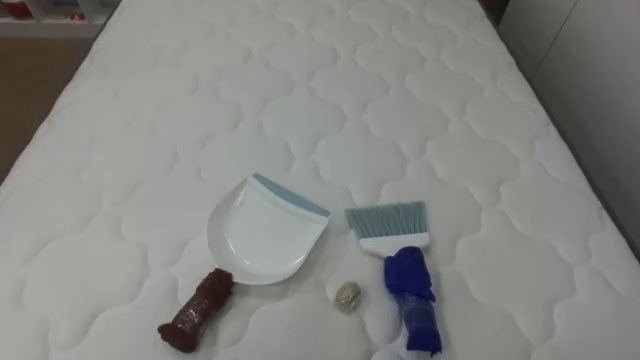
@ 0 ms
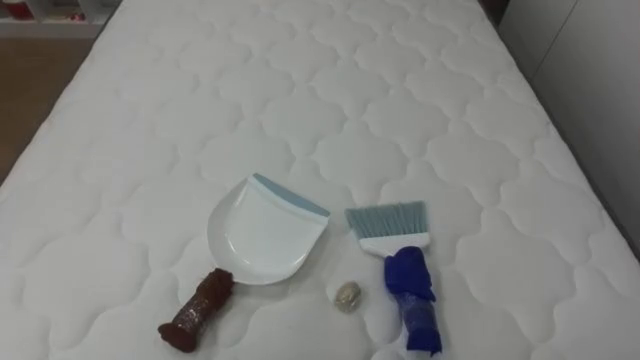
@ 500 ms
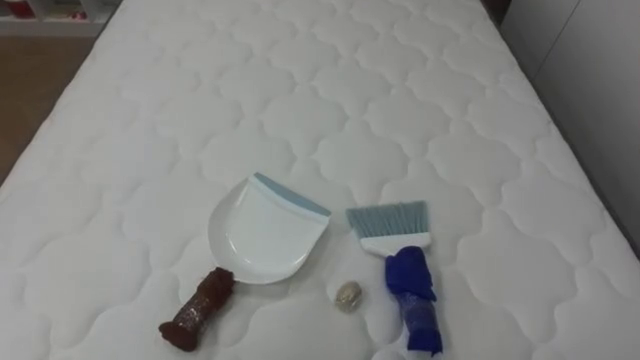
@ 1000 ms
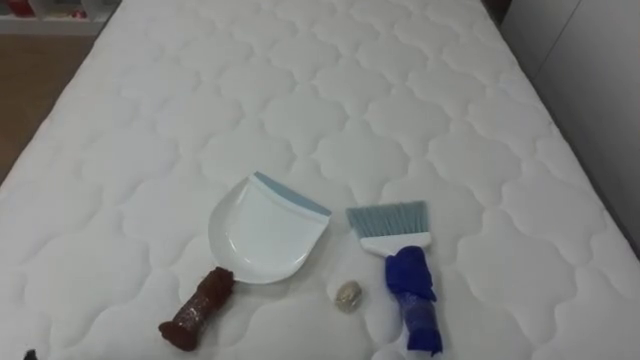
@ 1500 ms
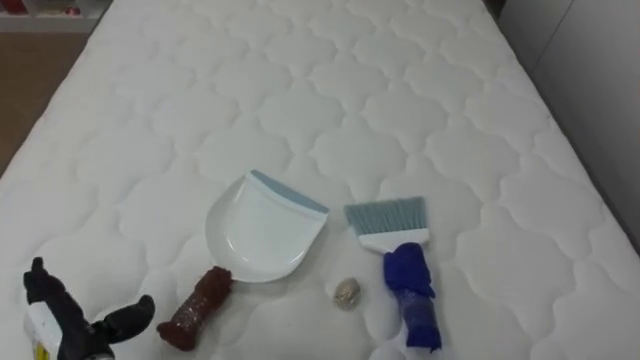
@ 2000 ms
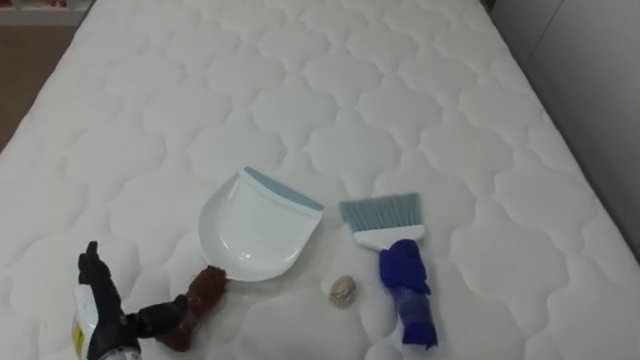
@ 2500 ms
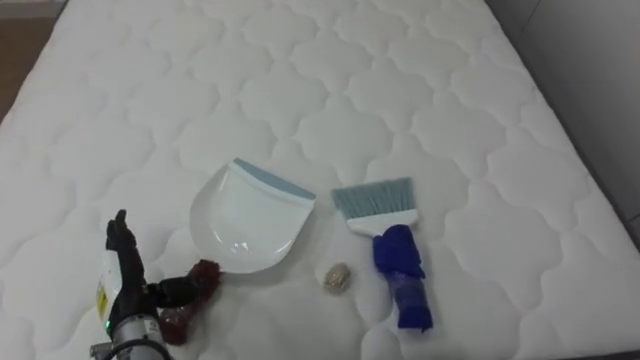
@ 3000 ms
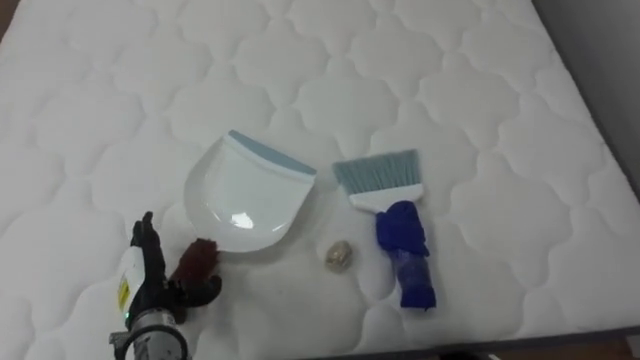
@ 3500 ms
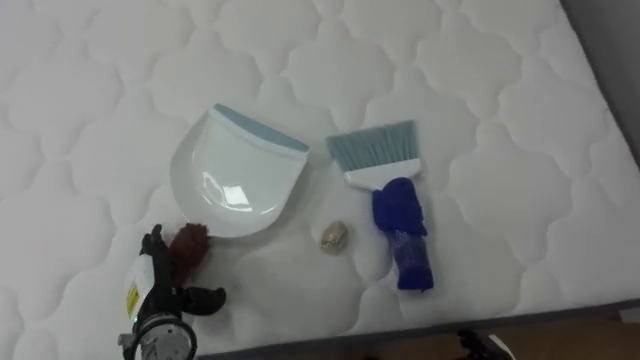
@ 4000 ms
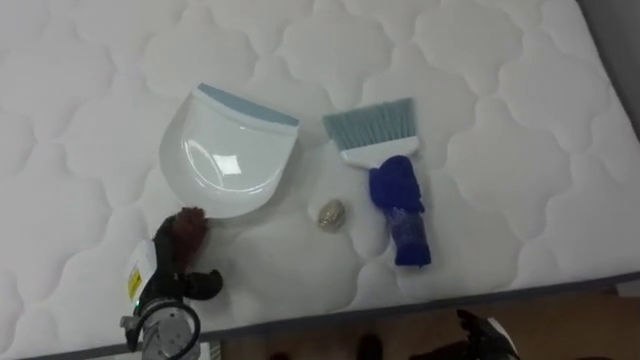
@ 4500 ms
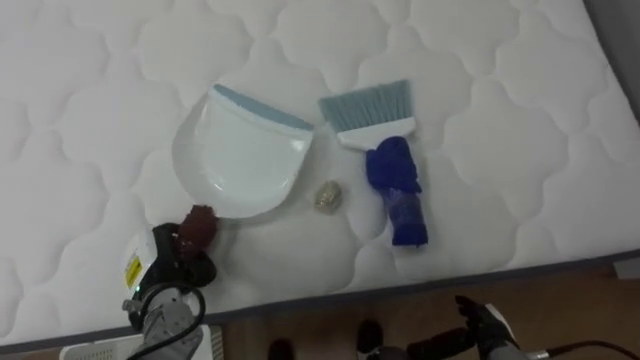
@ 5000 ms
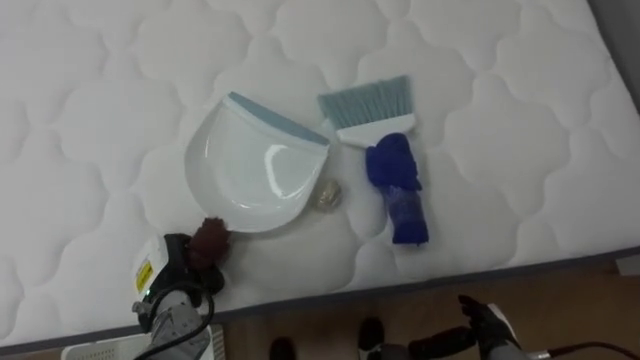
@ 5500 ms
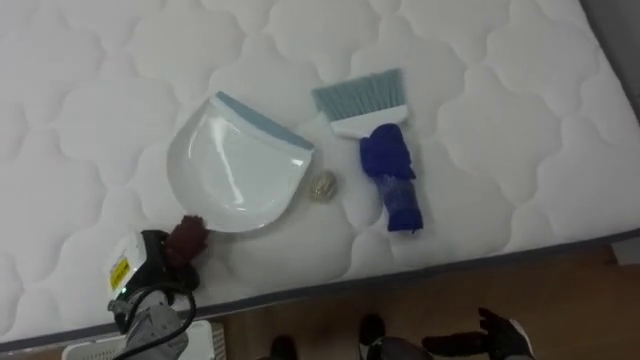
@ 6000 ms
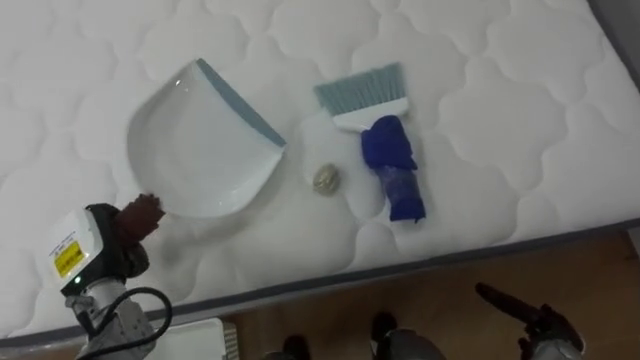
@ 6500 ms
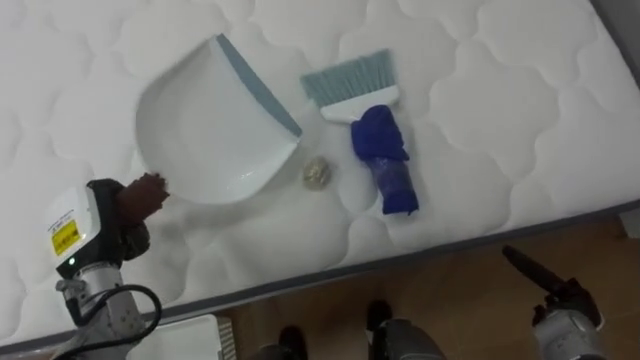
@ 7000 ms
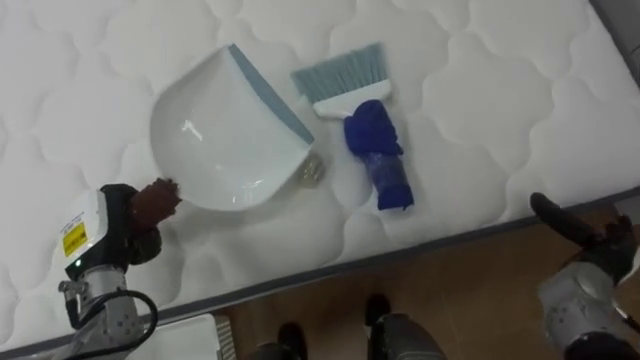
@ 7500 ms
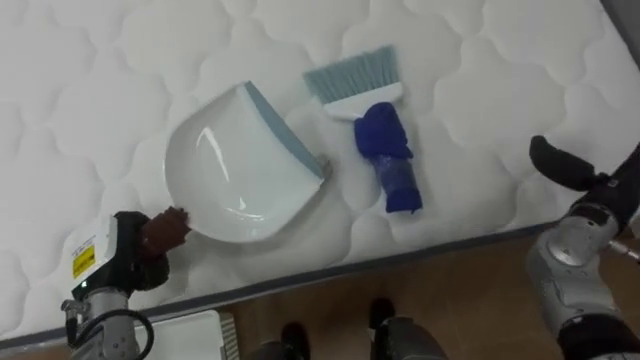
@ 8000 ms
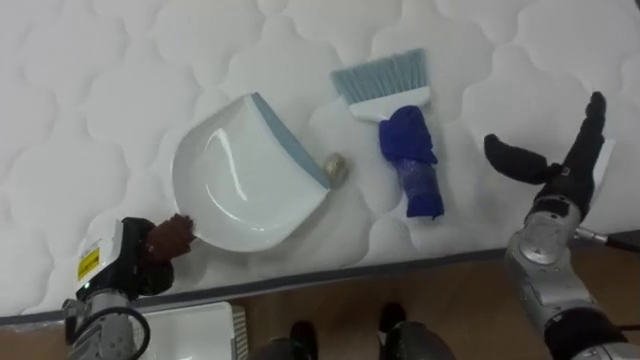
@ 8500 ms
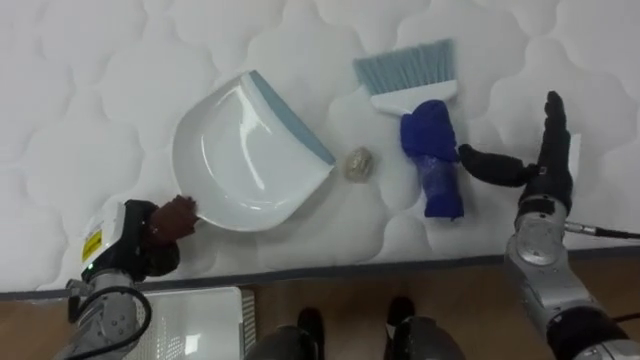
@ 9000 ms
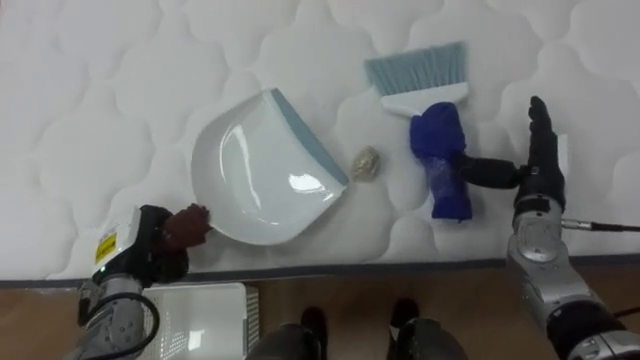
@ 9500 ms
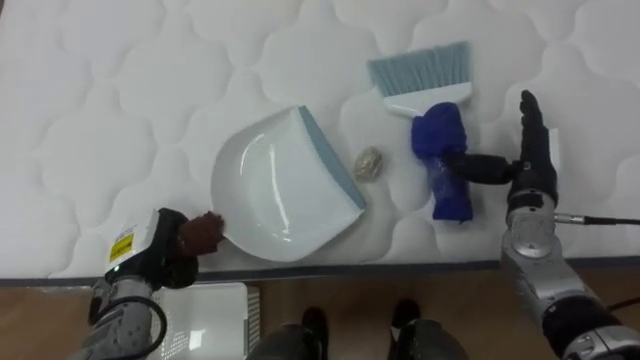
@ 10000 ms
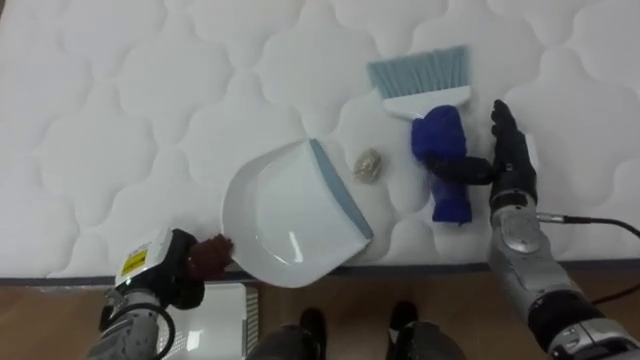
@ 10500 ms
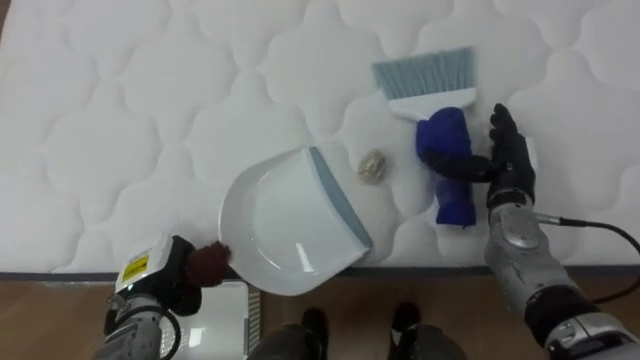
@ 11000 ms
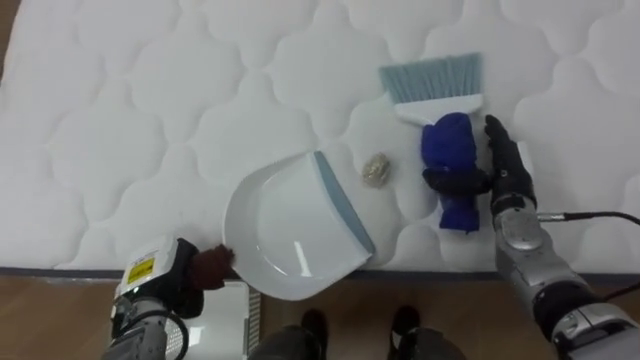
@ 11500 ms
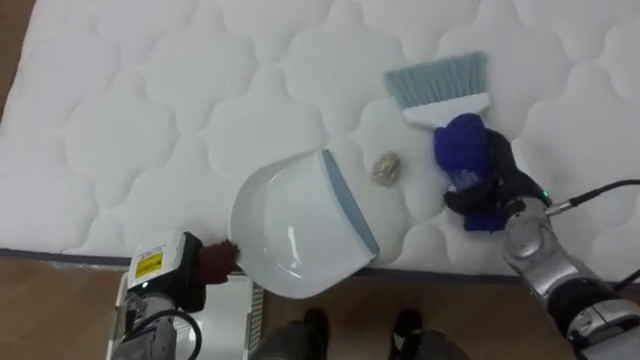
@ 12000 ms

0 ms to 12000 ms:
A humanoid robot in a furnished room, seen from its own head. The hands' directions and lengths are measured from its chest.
Task of the whole recording: Pick up the brush on your right and the dustpan on your left. Use the brush to sweep the crumpled paper on the bed into the dustpan, then turn left and empty it into the basket.
2000 ms to 4000 ms: The left hand heads to the right and forward, covering approximately 10 cm.
4000 ms to 6000 ms: The left hand closes its fingers.
6000 ms to 8000 ms: The right hand goes some 25 cm upward, forward and to the right.
8000 ms to 10000 ms: The right hand travels to the left and forward by roughly 10 cm.

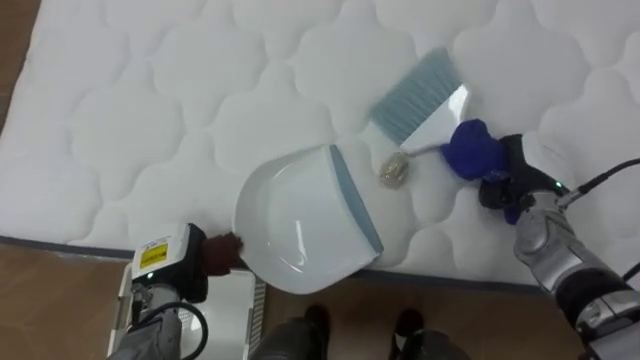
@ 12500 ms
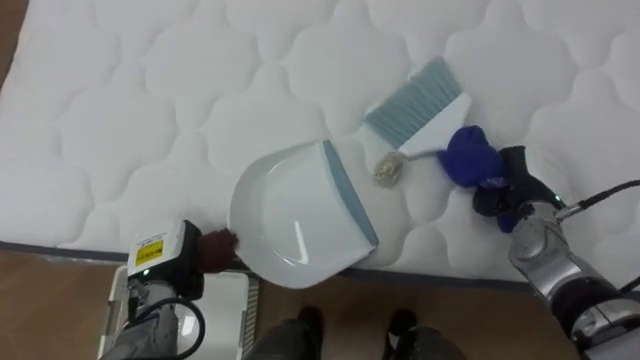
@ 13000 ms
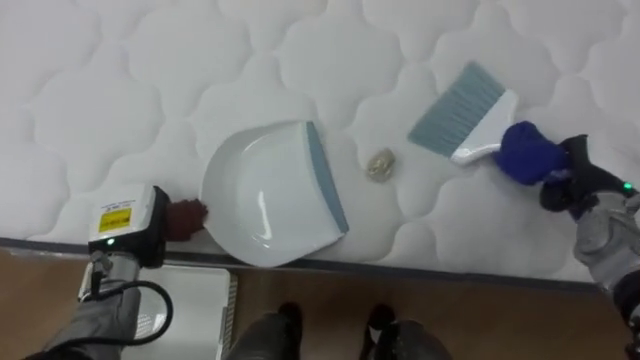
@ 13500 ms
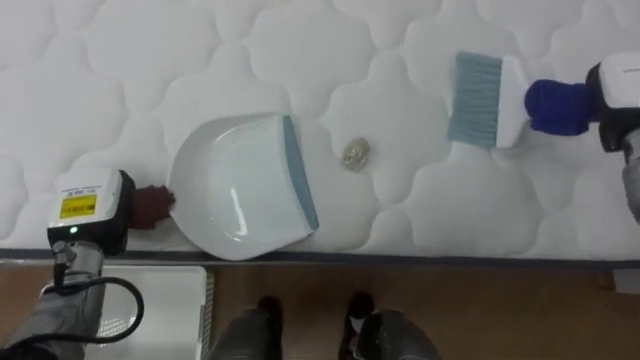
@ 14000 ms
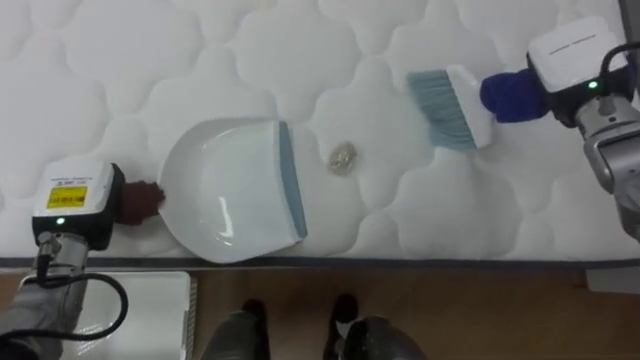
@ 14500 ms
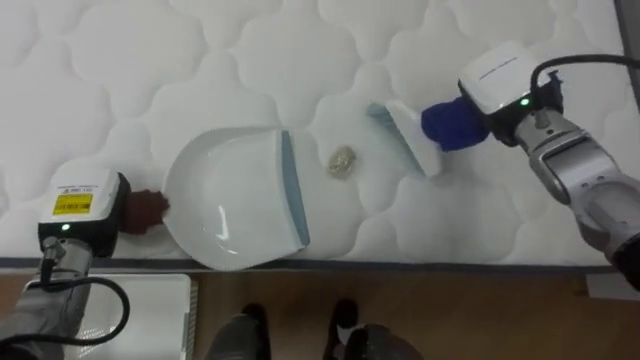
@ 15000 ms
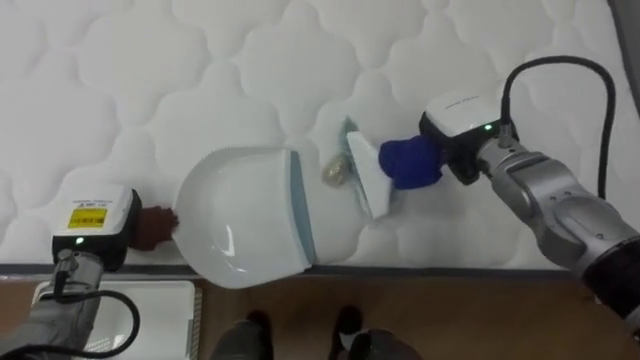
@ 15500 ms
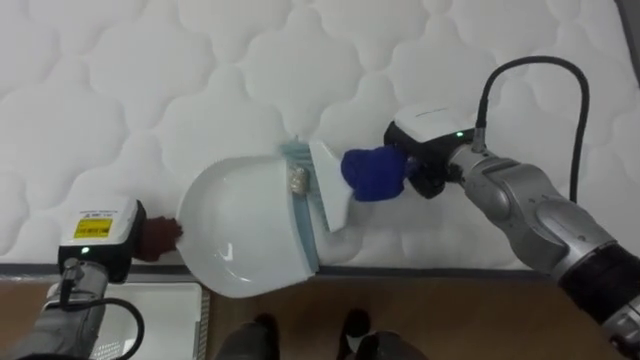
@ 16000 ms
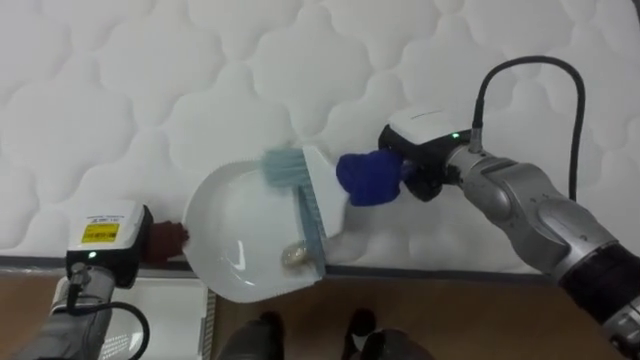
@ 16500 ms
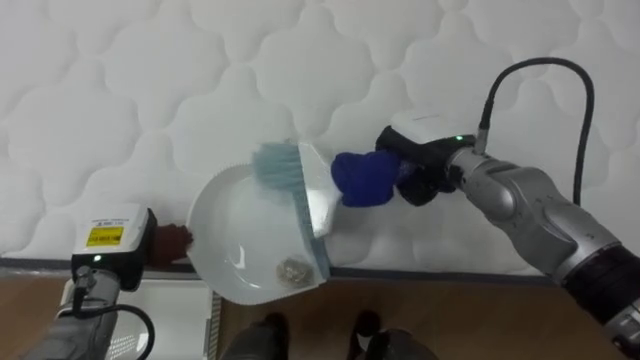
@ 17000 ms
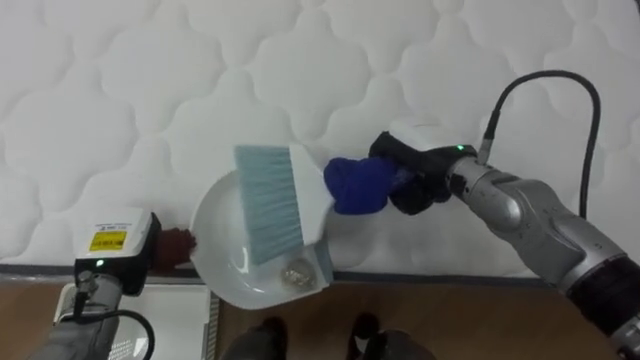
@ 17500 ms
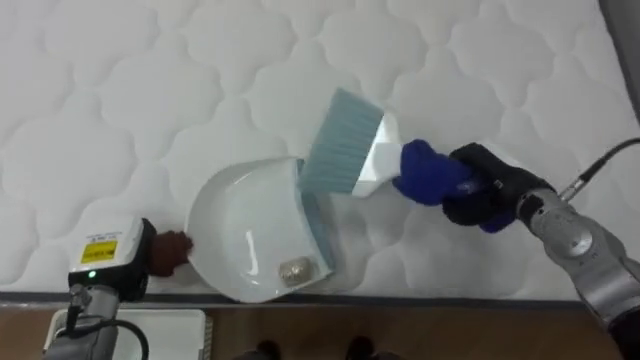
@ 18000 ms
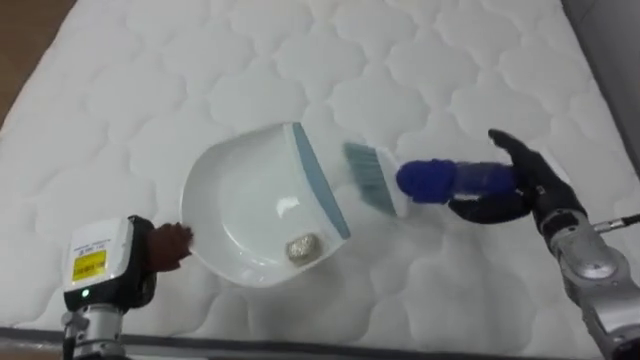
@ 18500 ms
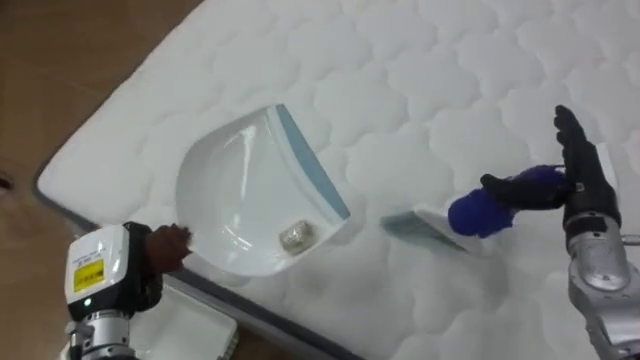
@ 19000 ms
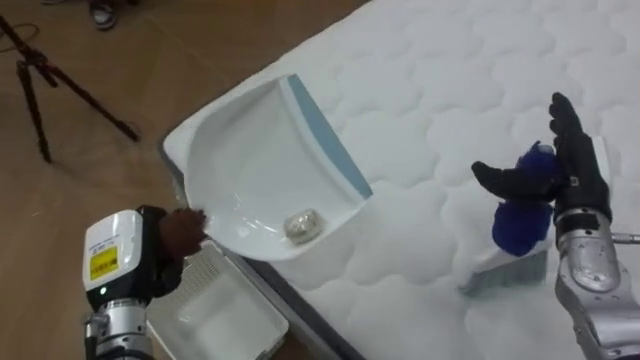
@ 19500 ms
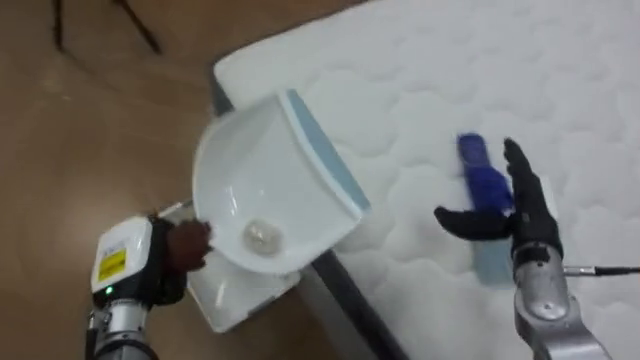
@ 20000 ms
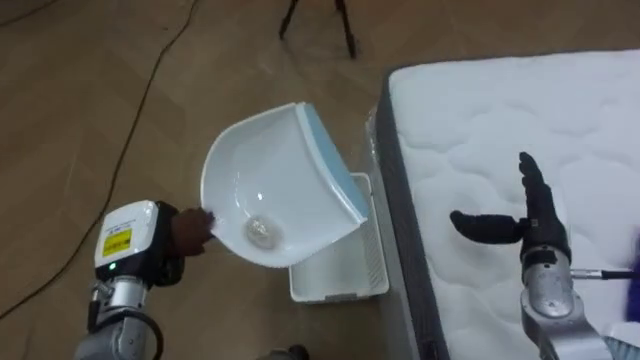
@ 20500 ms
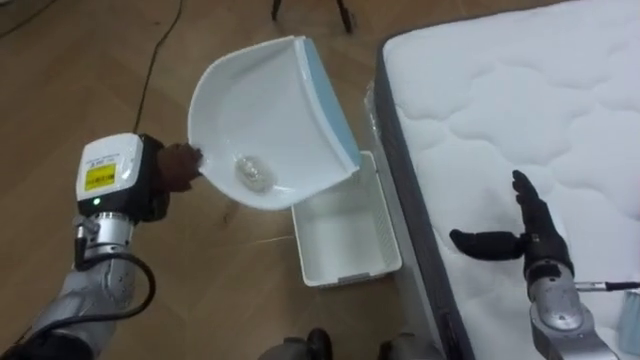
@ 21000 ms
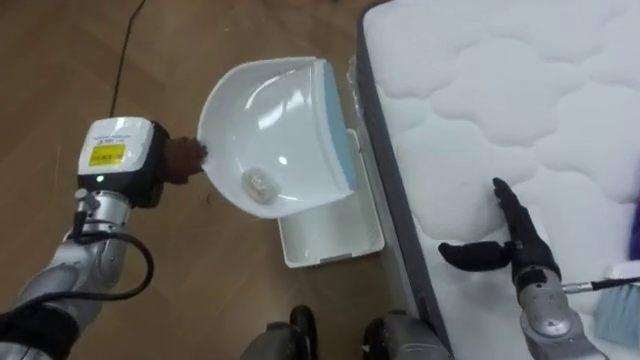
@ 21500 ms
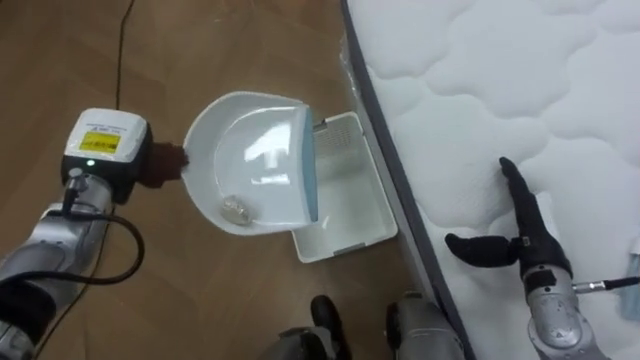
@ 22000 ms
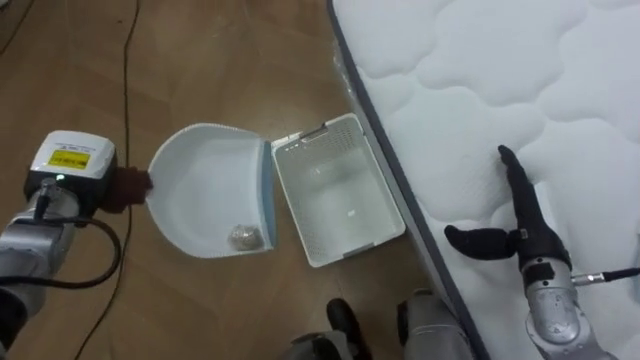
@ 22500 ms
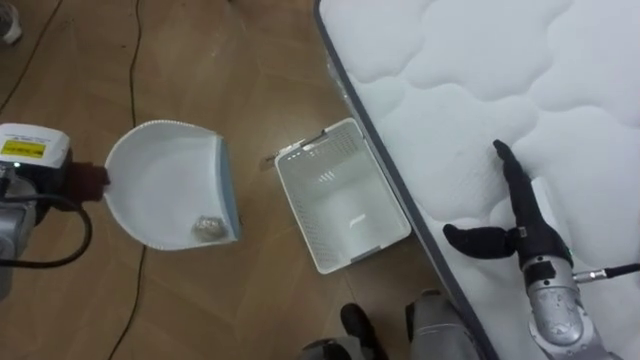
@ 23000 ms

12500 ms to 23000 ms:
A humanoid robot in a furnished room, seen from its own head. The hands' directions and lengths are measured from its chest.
Task of the whole recording: Pick up the brush on your right and the dustpan on your left. Use the brush to sweep the crumpled paper on the bed into the dustpan, then turn left and empty it into the basket.
12500 ms to 14500 ms: The left hand shifts about 15 cm upward and to the left.
14500 ms to 16500 ms: The right hand is displaced to the left and downward by approximately 20 cm. Meanwhile the left hand moves downward, about 5 cm.
16500 ms to 19000 ms: The robot turns to its left by approximately 25 degrees. The left hand heads backward, covering about 5 cm. Meanwhile the right hand is displaced to the right by approximately 20 cm, and opens up.
19000 ms to 21000 ms: The robot turns to its left by approximately 65 degrees. The right hand goes some 5 cm downward. The left hand heads forward and upward, covering about 10 cm.
21000 ms to 23000 ms: The left hand travels to the left by about 10 cm.
